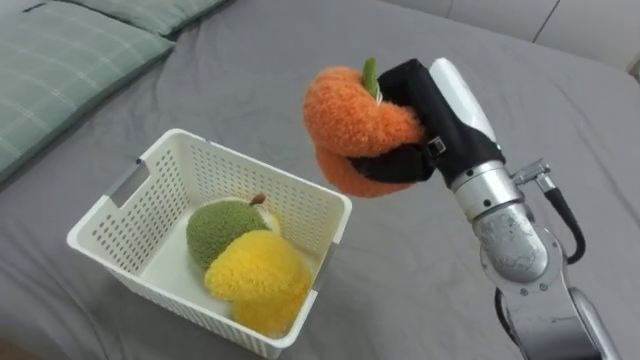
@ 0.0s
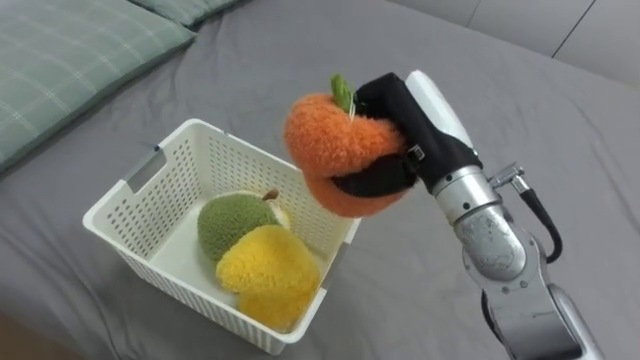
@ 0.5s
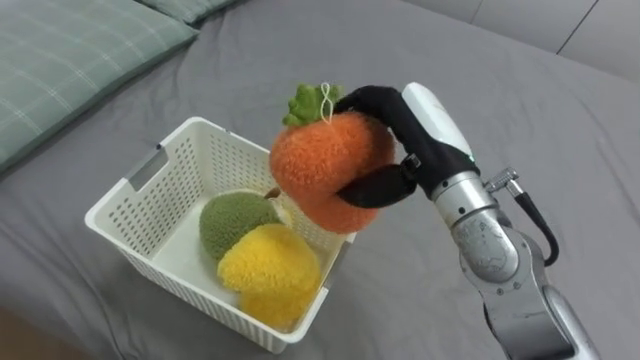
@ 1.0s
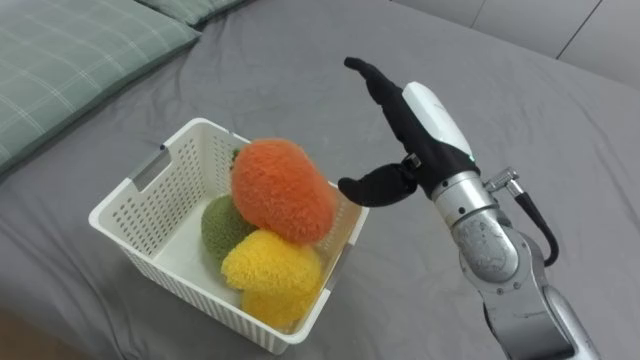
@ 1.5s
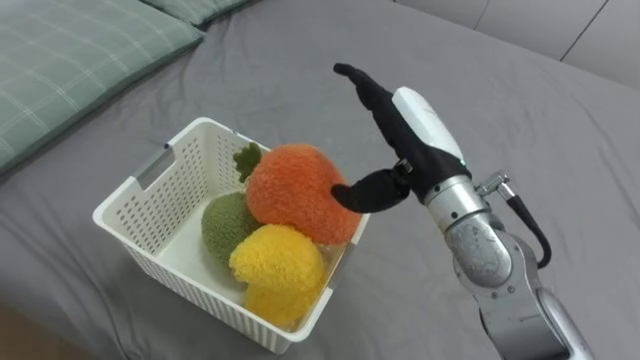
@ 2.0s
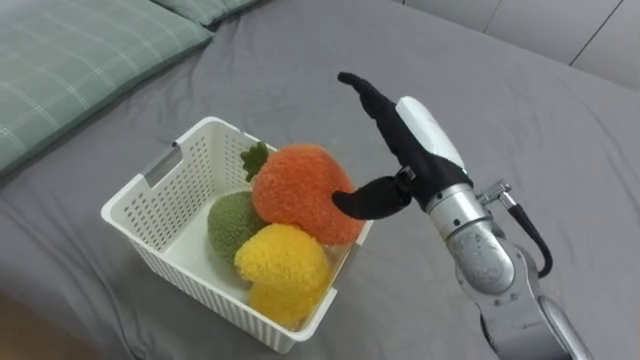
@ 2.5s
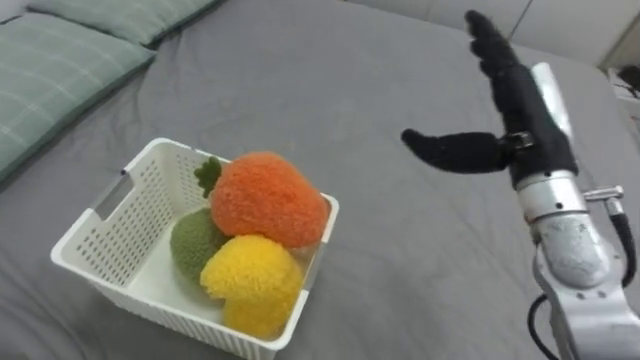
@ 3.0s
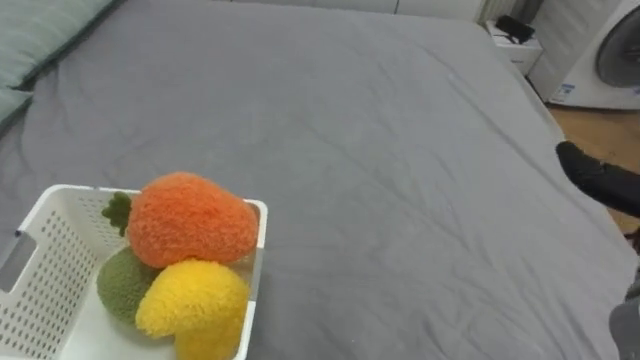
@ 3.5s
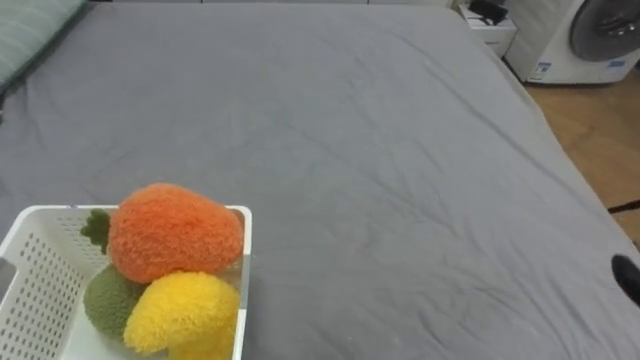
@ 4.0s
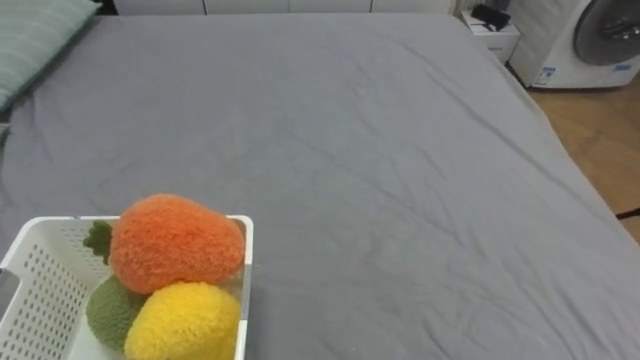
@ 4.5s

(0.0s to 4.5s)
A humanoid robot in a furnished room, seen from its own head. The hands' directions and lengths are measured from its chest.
Task of the whole recording: Put the toys on the bed into the basket on the left.
0.0s - 2.0s: The right hand opens its fingers.

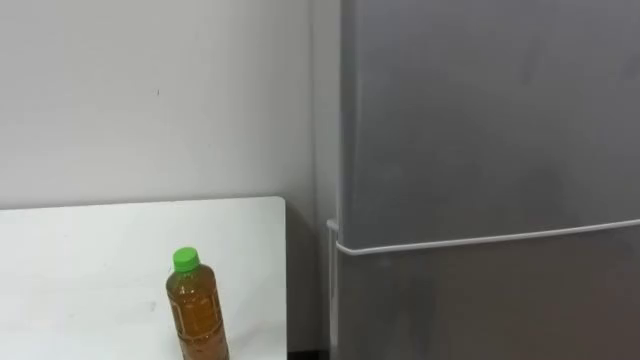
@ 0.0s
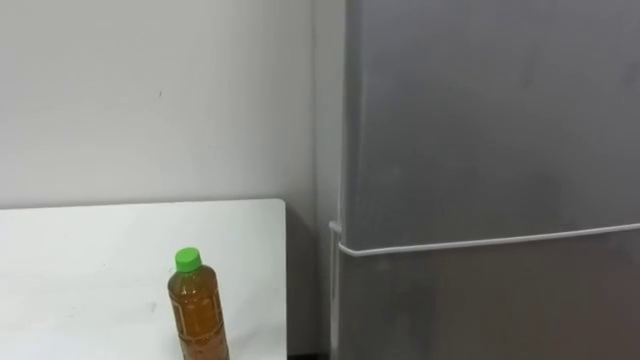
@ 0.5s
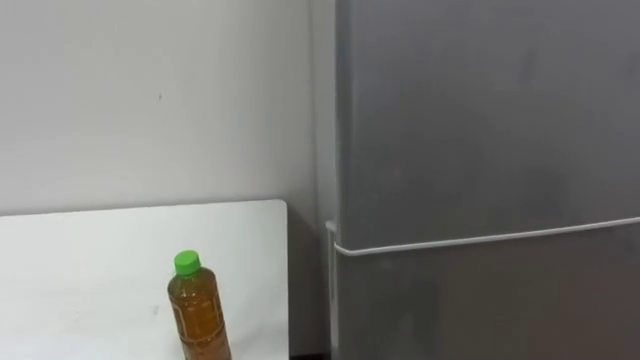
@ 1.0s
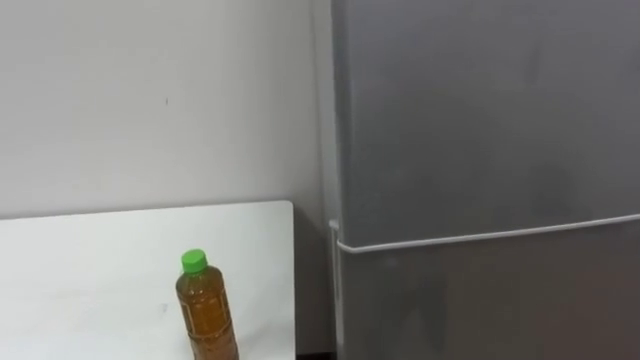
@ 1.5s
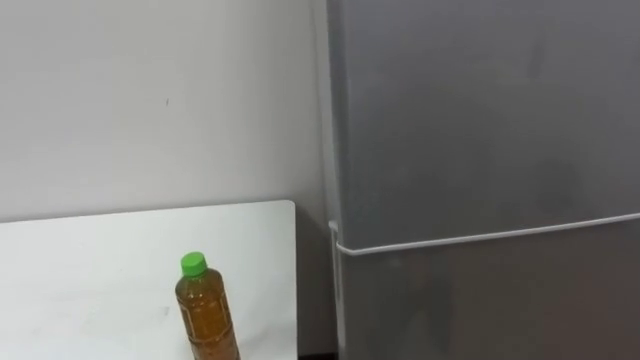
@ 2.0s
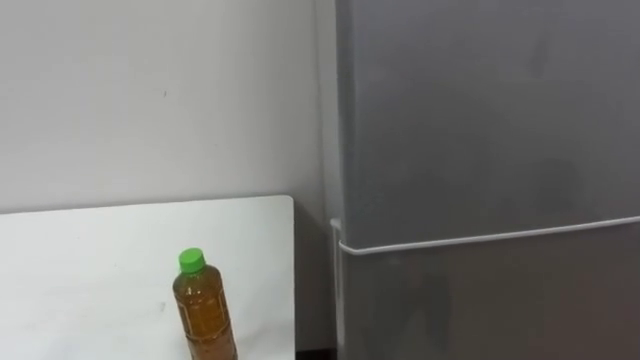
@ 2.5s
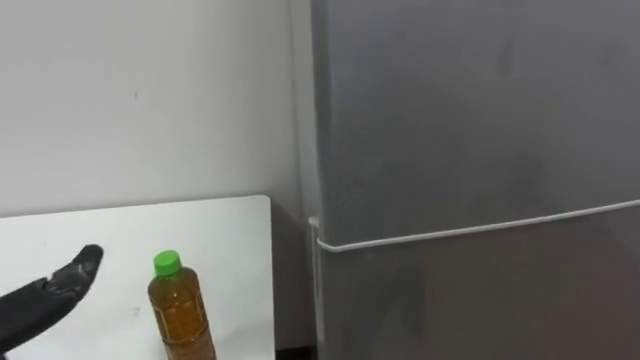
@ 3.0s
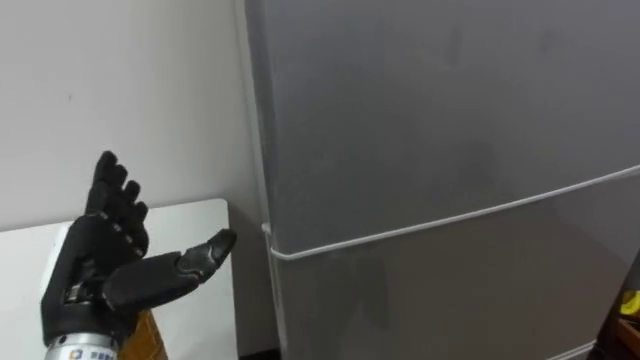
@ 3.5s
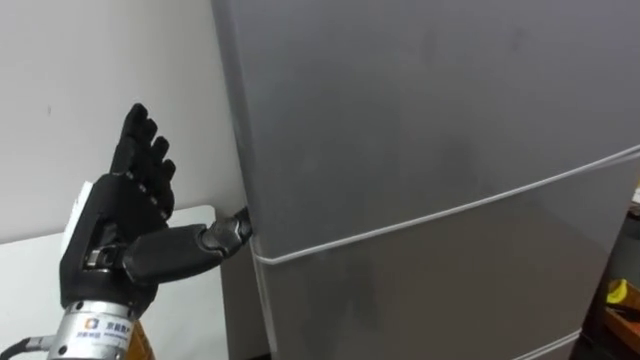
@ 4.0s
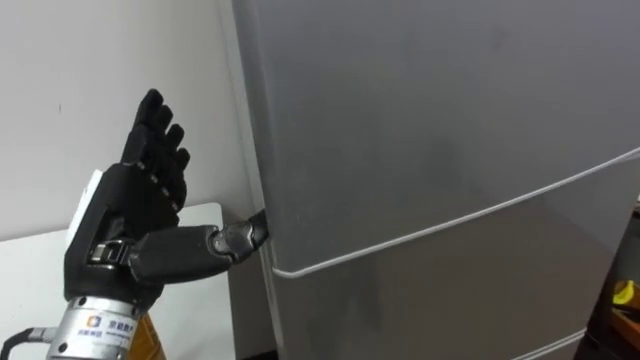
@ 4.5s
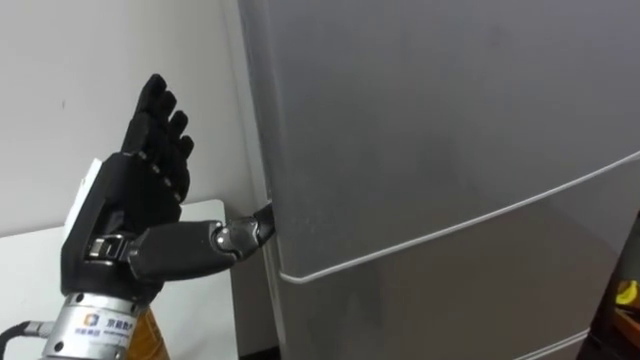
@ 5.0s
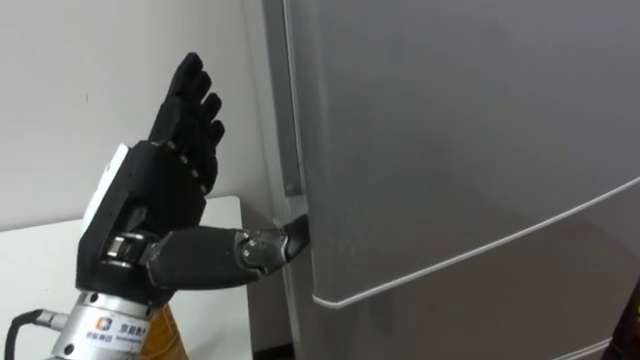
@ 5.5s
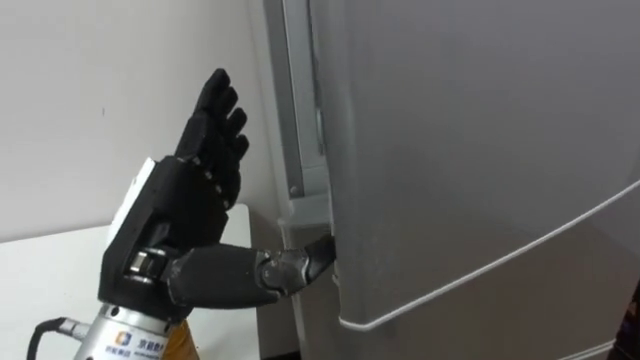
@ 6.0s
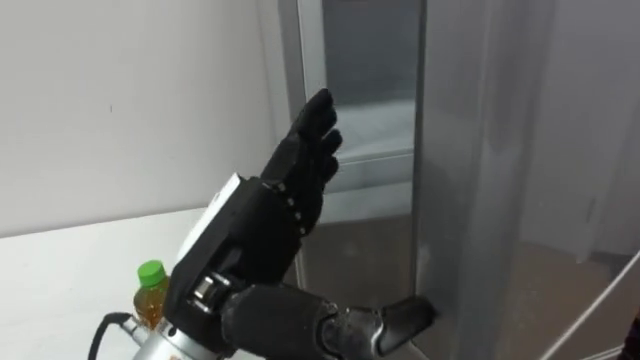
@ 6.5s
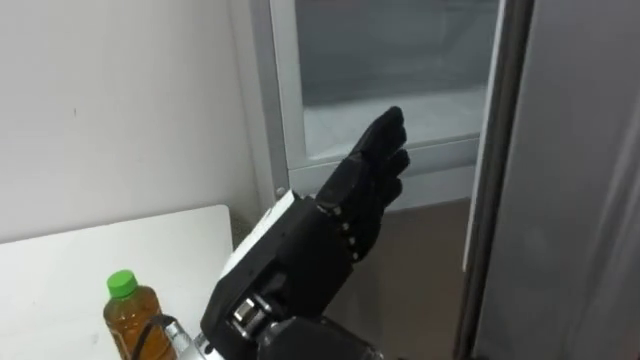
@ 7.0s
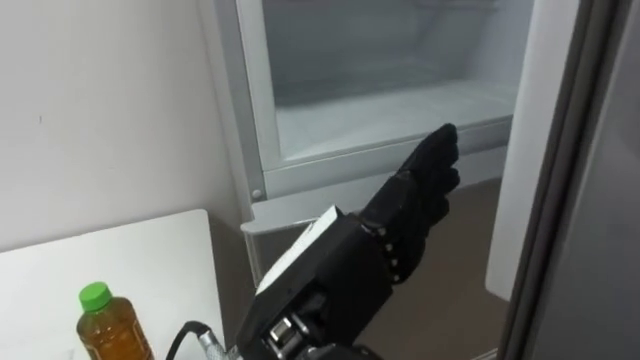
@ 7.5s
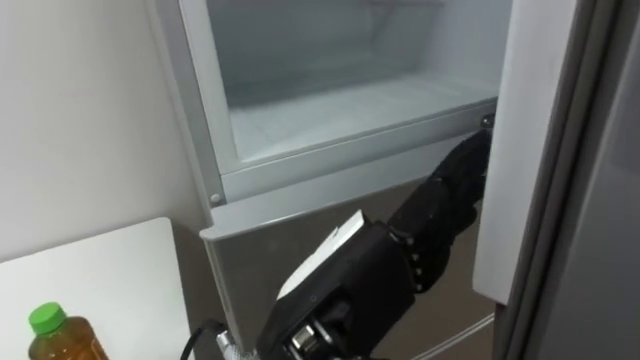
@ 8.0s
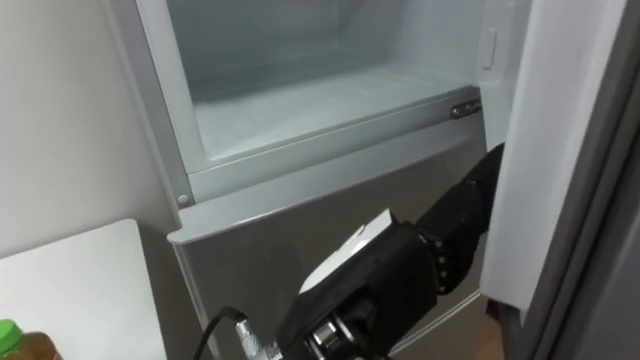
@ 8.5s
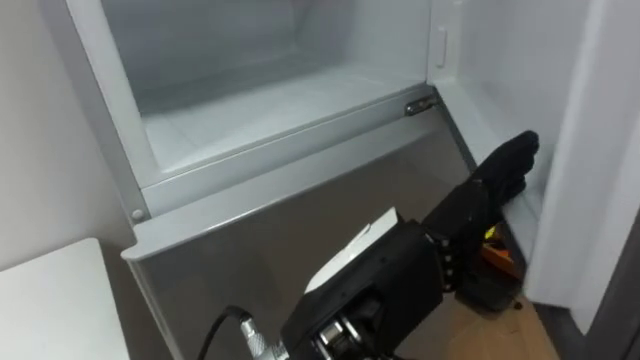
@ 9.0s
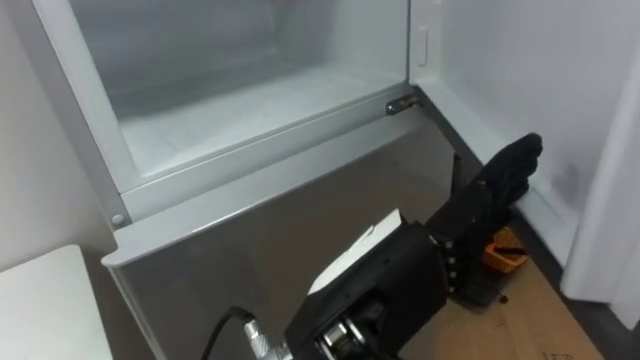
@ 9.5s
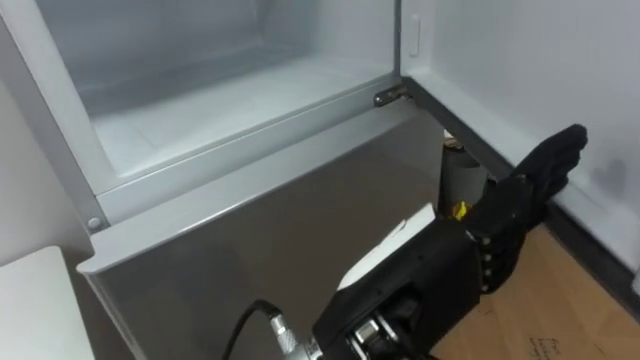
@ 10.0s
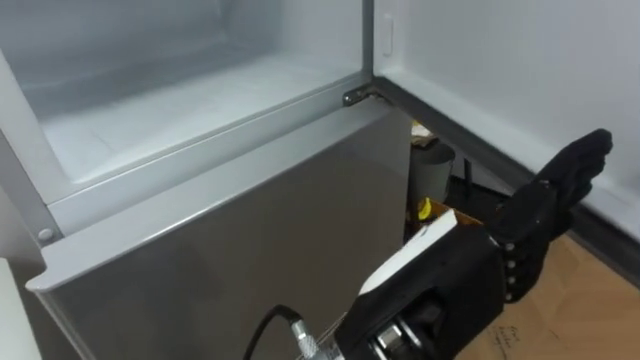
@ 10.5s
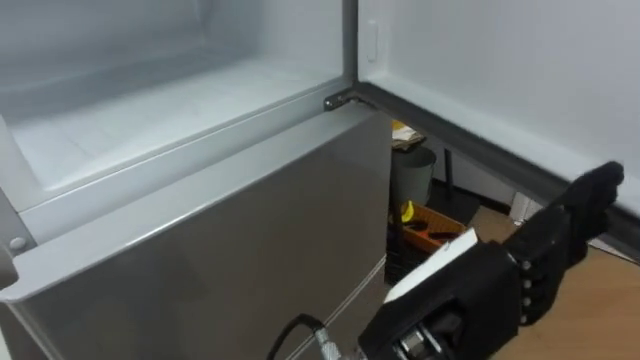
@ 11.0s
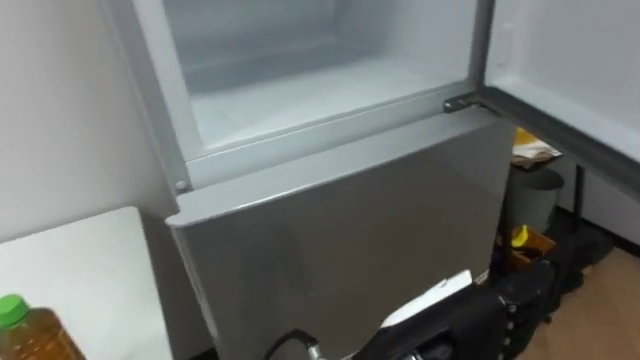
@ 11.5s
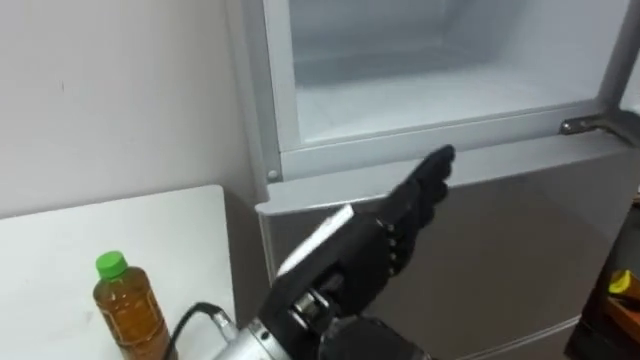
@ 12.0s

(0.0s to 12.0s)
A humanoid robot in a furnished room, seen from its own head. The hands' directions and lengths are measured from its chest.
Task of the whole recording: Open the upper refrigerator door, put the drink from the table into the refrigerator, and then close the refrigerator door.
4.0s - 6.0s: The left hand shifts some 5 cm to the right.
6.0s - 8.0s: The left hand goes some 15 cm to the right and backward.
10.0s - 12.0s: The left hand moves roughly 5 cm.

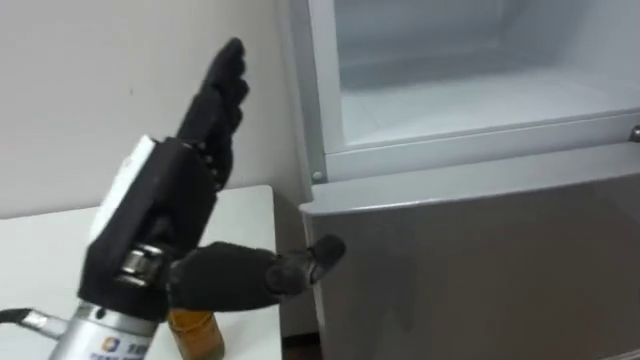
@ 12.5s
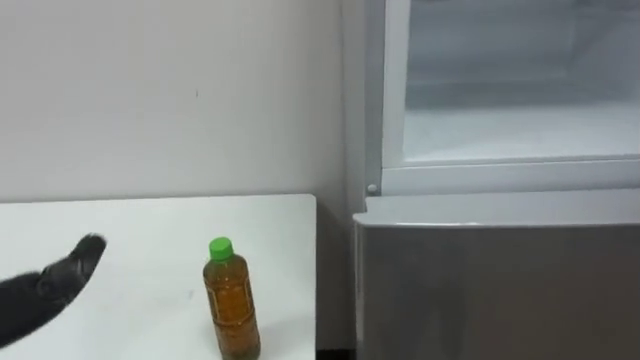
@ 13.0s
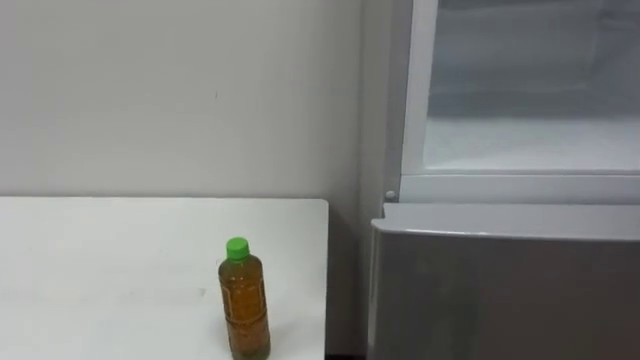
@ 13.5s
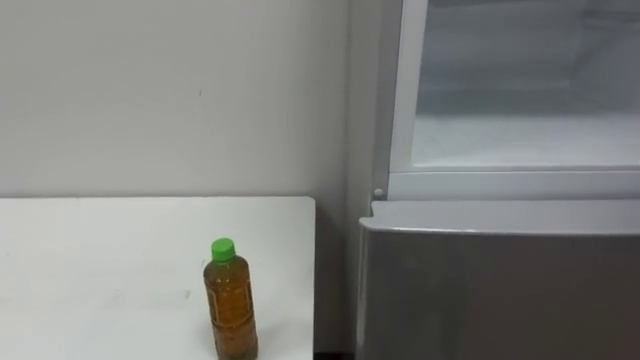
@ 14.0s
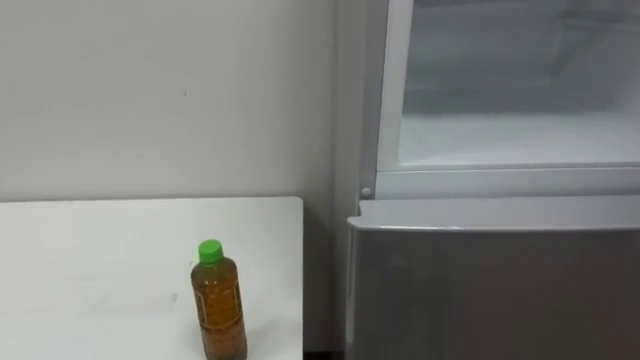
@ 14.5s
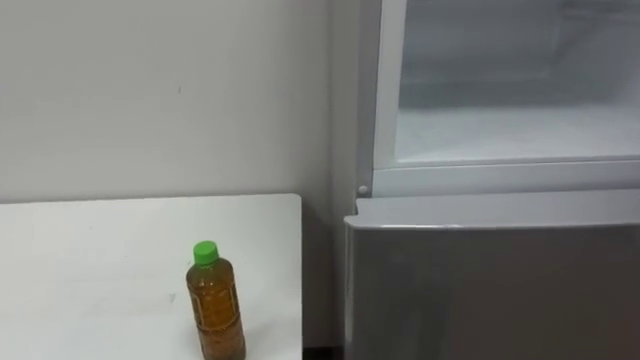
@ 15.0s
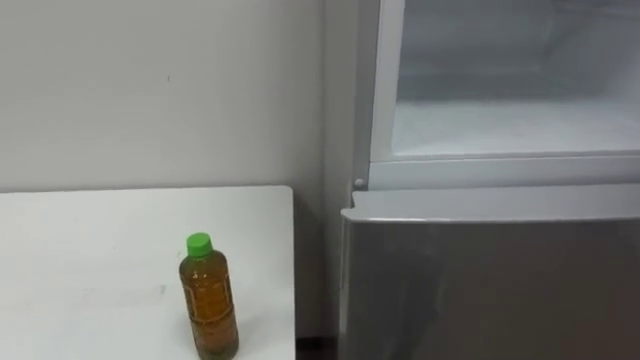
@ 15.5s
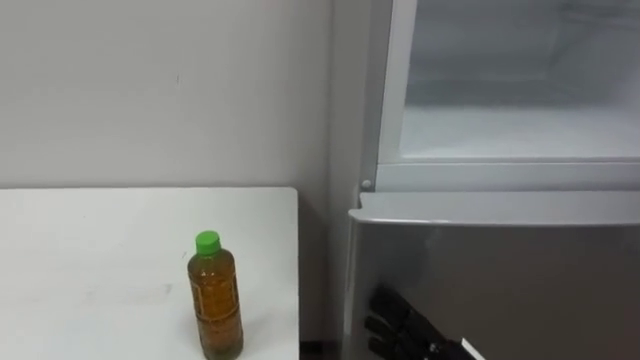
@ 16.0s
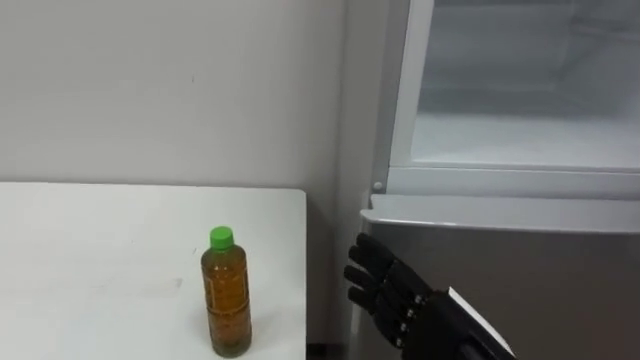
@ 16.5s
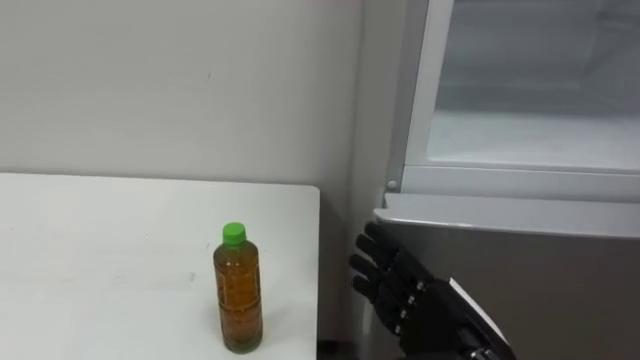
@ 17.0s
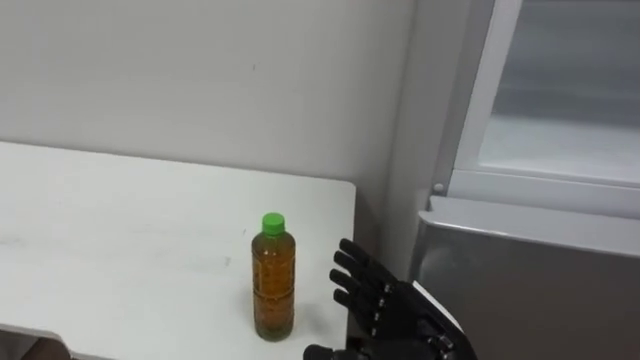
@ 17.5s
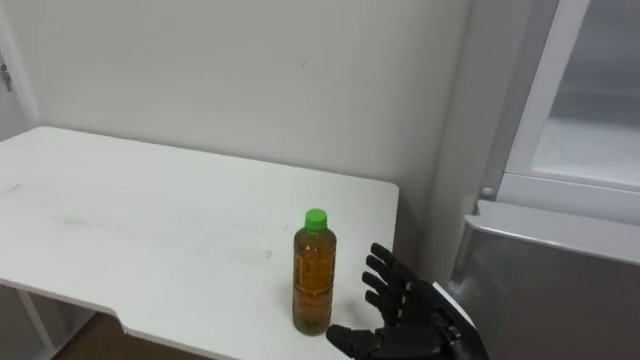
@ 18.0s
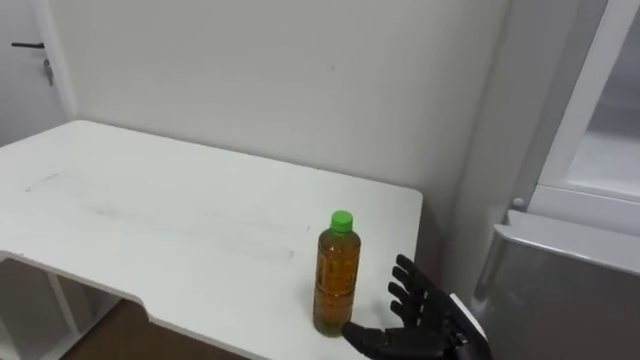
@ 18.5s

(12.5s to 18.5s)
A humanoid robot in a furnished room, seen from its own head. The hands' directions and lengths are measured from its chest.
Task of the whole recording: Open the upper refrigerator door, put the drink from the table into the refrigerator, and then close the refrigerator door.
16.5s - 18.5s: The right hand is displaced downward and forward by roughly 10 cm.
